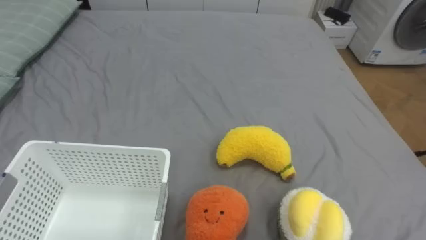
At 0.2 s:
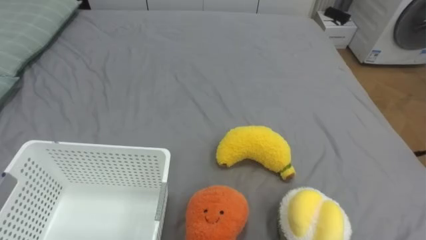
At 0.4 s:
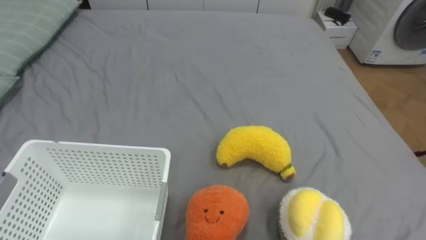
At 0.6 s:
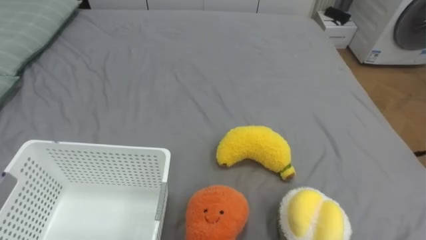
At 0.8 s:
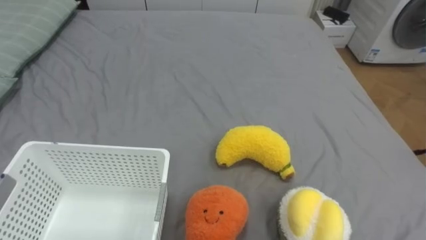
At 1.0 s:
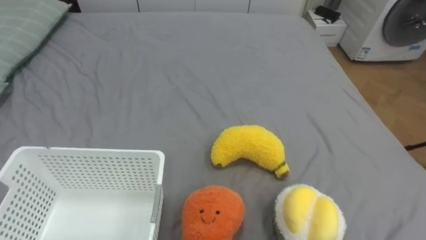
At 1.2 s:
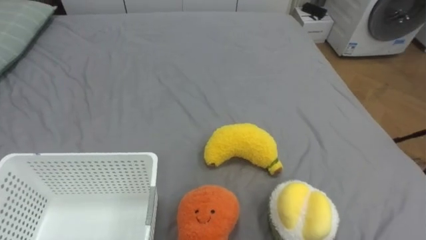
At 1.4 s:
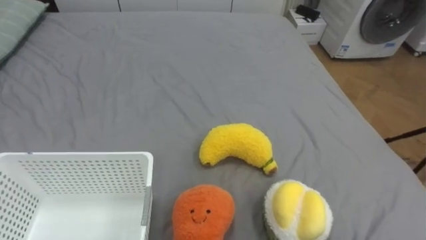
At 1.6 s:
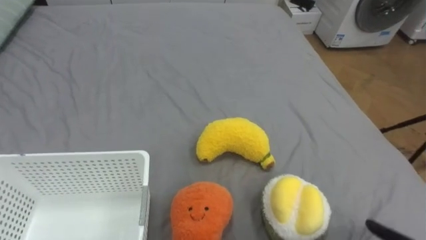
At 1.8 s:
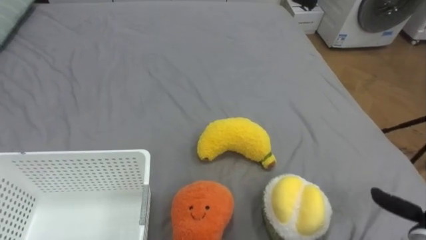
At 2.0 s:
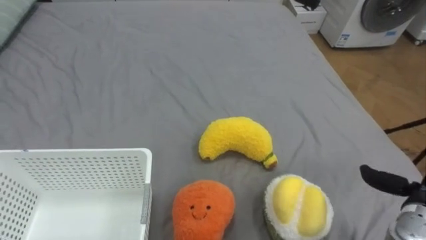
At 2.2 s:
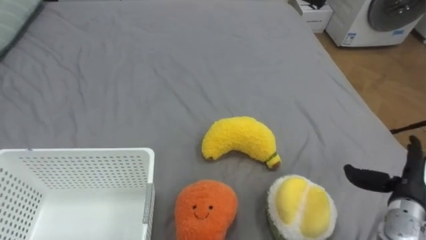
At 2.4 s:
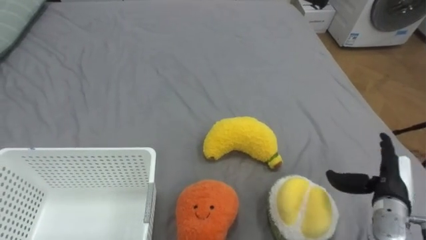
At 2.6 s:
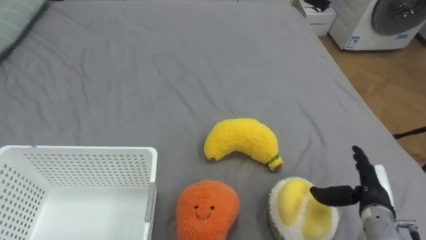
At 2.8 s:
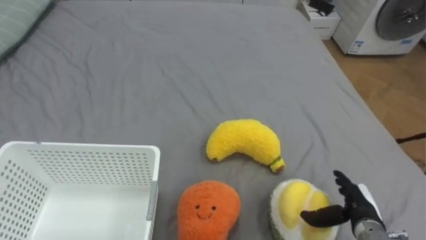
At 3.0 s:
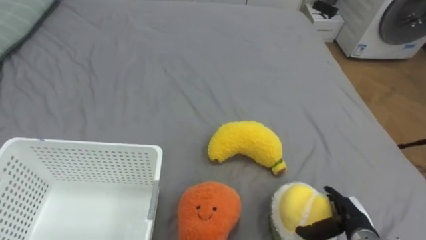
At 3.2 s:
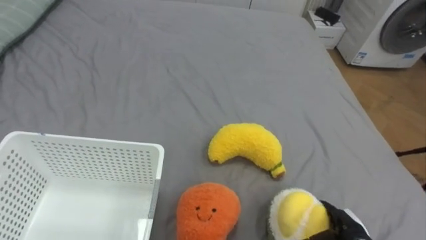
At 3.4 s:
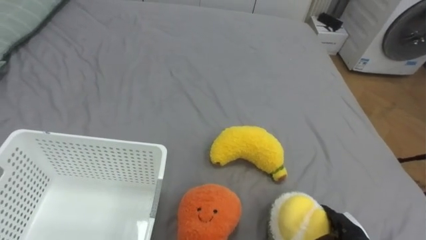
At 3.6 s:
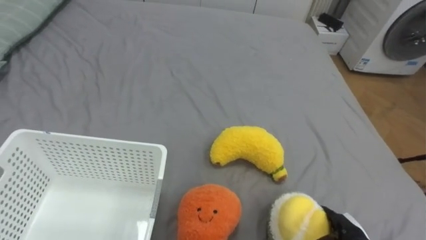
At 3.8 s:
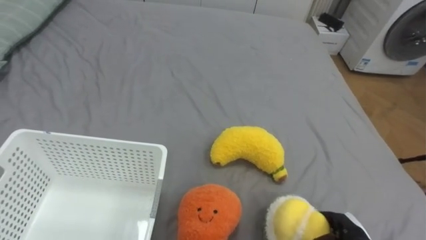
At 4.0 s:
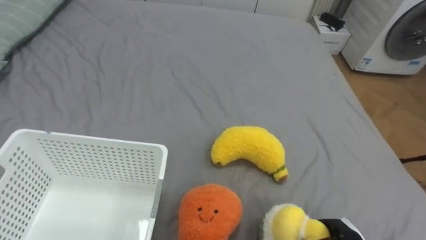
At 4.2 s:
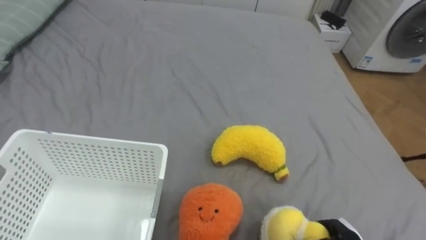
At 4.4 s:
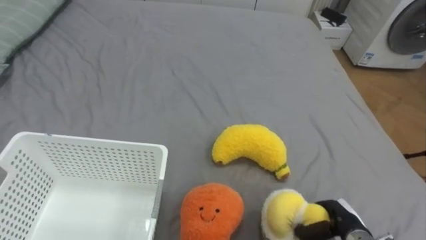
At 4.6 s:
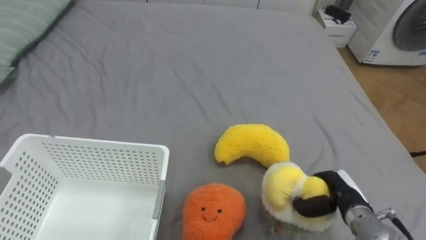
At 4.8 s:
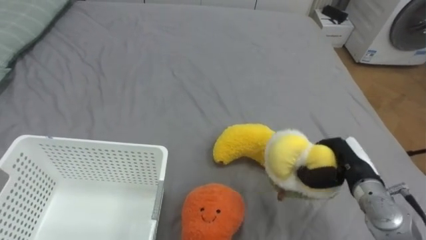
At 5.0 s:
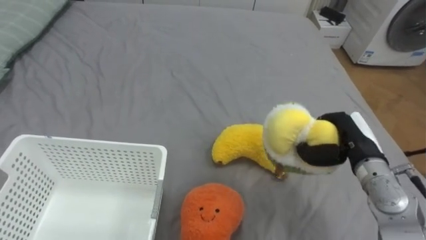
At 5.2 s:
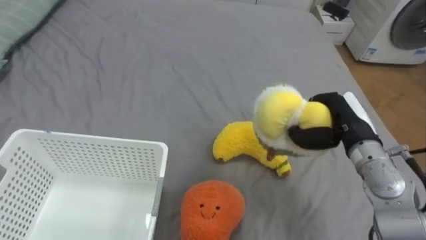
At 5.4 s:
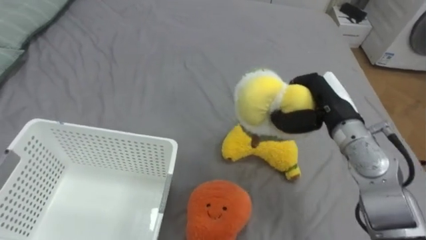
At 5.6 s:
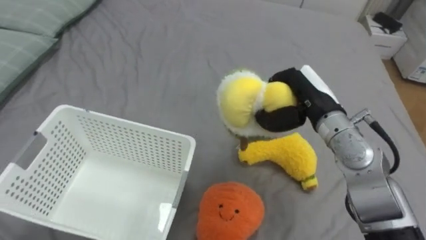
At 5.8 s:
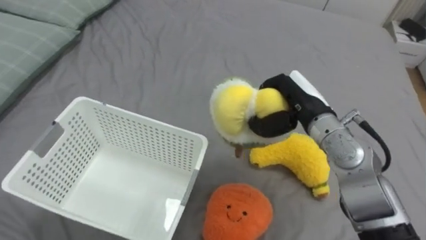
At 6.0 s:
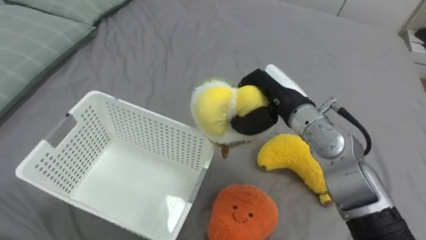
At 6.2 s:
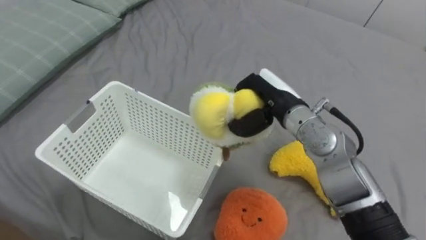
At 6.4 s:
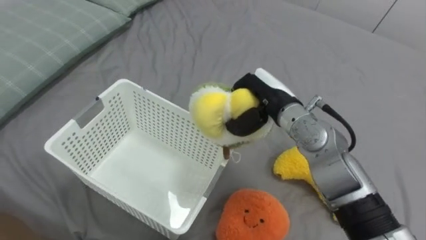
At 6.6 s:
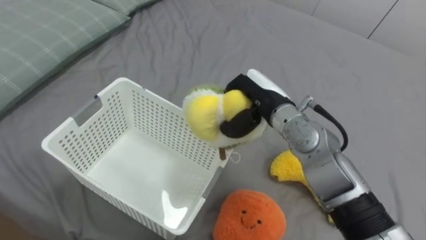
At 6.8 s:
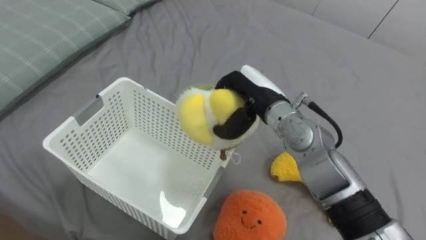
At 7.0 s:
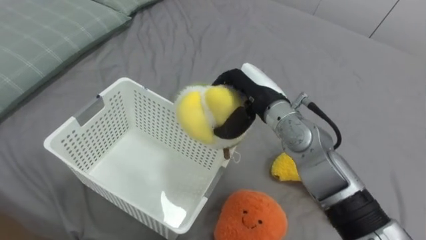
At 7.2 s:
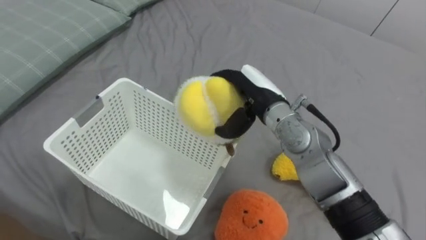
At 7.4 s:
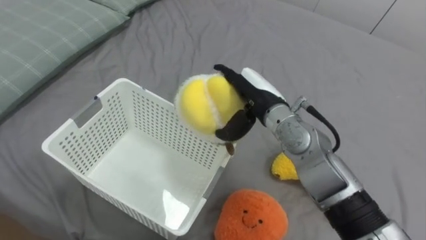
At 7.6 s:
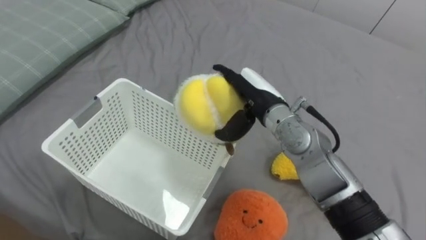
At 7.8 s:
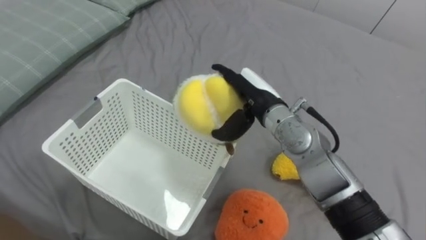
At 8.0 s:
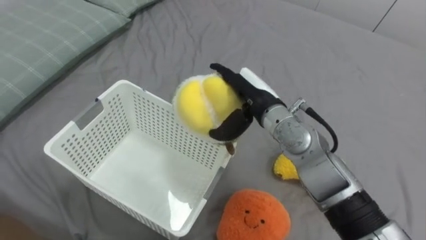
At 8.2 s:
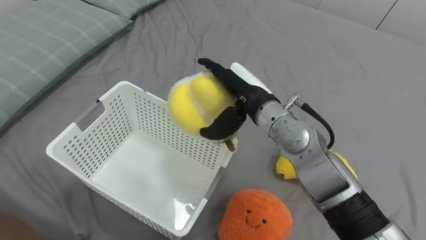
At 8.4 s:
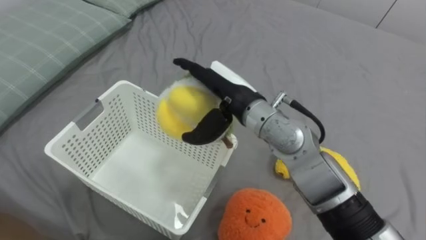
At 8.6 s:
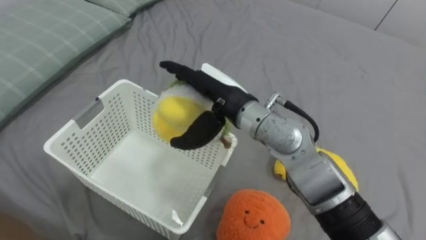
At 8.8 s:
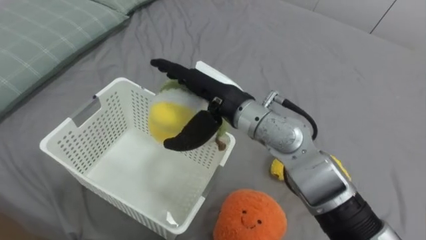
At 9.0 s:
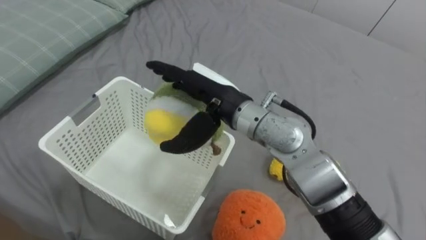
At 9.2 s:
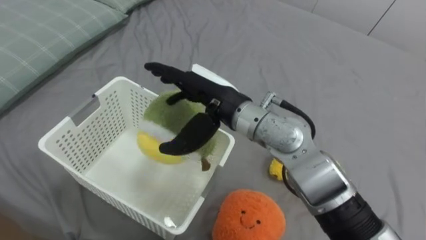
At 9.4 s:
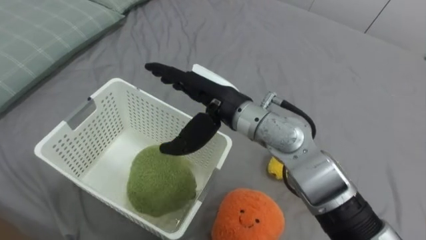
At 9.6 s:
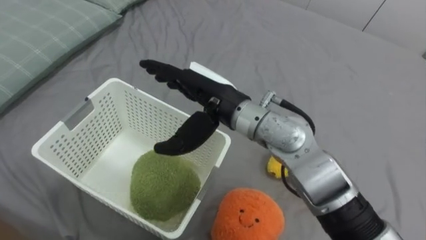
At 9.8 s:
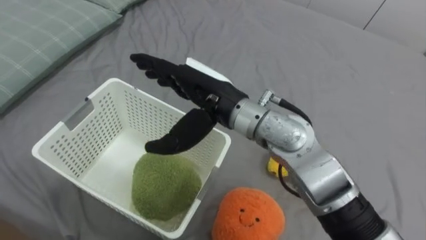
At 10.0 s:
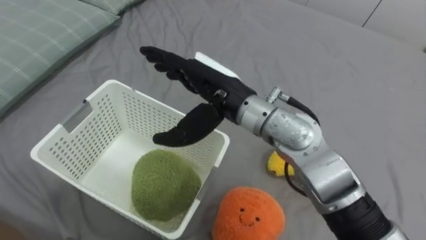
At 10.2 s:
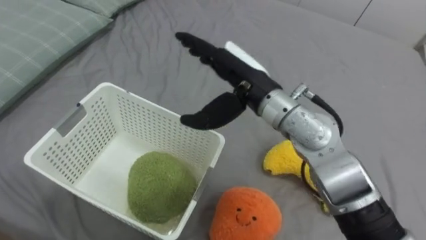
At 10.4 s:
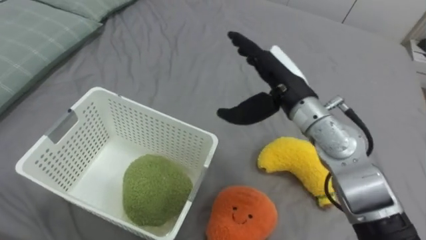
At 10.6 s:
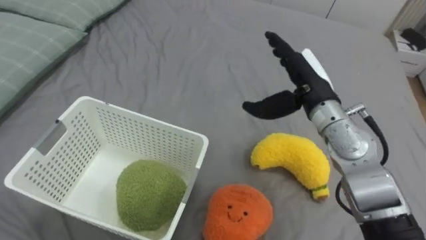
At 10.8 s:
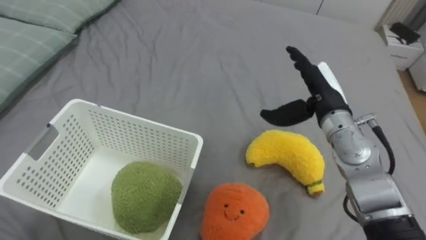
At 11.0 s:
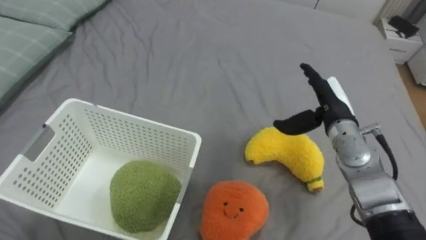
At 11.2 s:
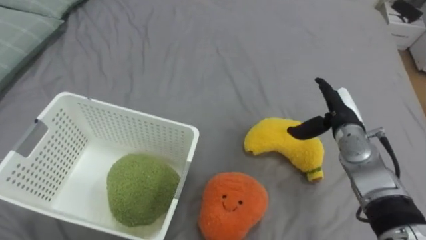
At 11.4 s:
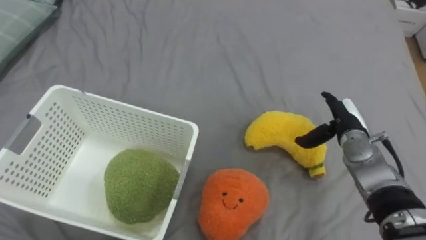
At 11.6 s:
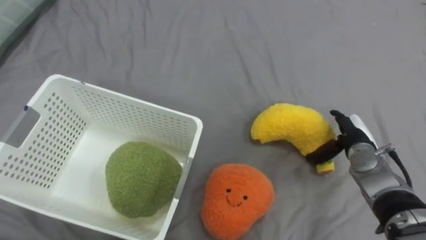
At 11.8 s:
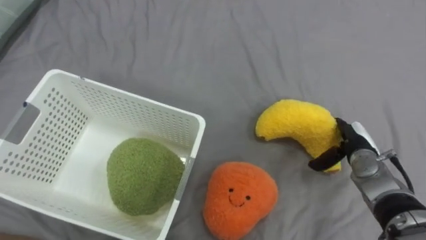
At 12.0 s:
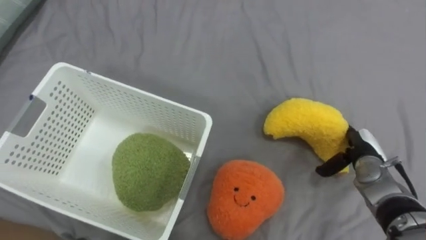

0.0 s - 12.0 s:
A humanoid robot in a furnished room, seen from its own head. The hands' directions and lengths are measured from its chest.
Task of the whole recording: Put the toys on the bed into the basket on the left.
4.4 s - 6.0 s: The right hand travels upward, forward and to the left by about 30 cm.
6.0 s - 7.6 s: The right hand changes place by about 5 cm, and opens its fingers.
7.6 s - 9.0 s: The right hand shifts roughly 10 cm to the left and upward.
9.0 s - 10.4 s: The right hand moves to the right, roughly 10 cm.
10.4 s - 12.0 s: The right hand moves to the right and downward, about 30 cm.

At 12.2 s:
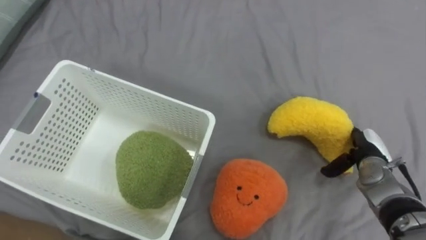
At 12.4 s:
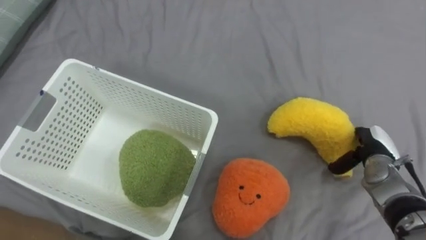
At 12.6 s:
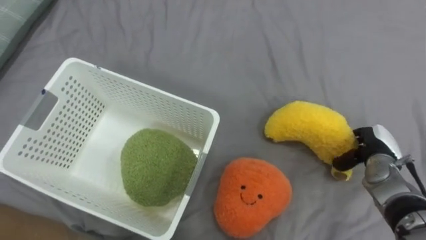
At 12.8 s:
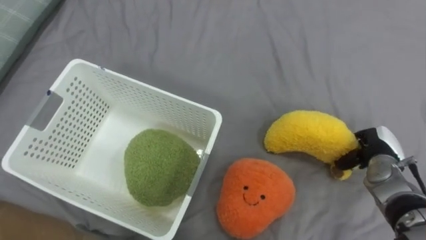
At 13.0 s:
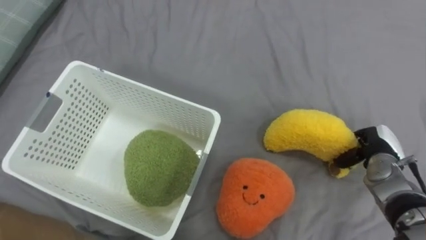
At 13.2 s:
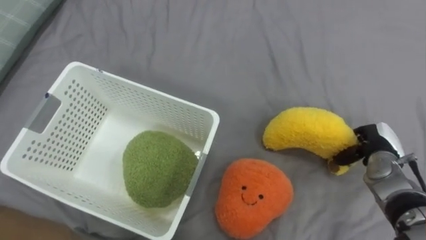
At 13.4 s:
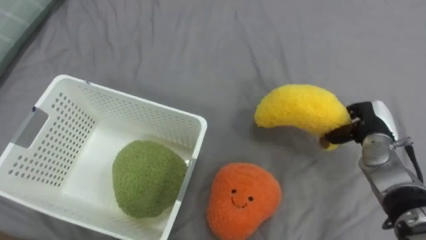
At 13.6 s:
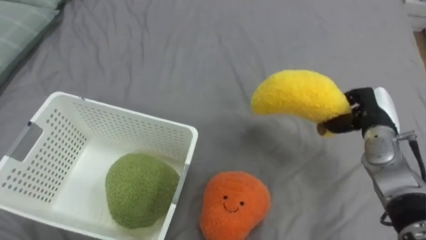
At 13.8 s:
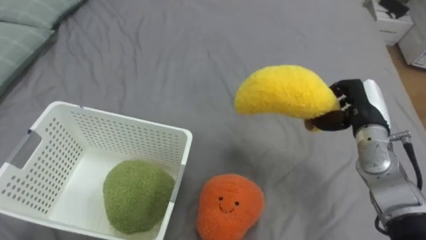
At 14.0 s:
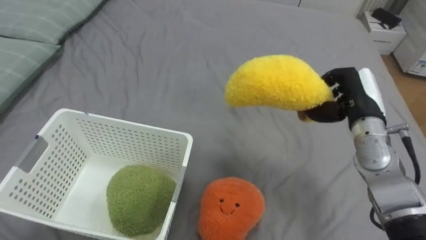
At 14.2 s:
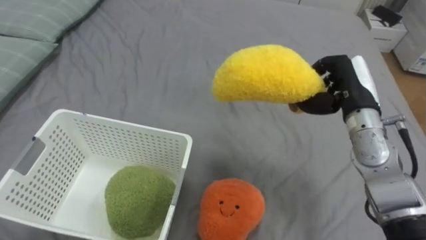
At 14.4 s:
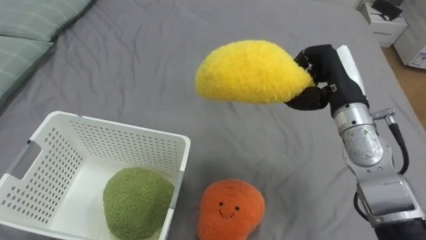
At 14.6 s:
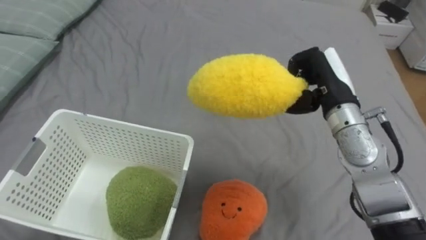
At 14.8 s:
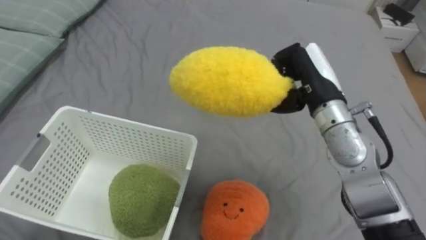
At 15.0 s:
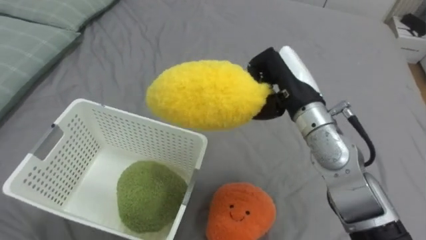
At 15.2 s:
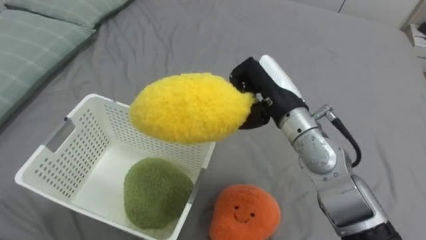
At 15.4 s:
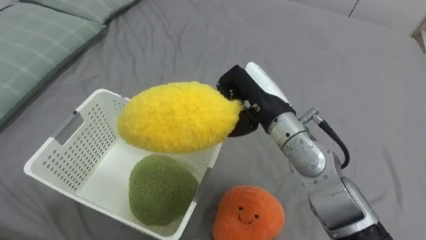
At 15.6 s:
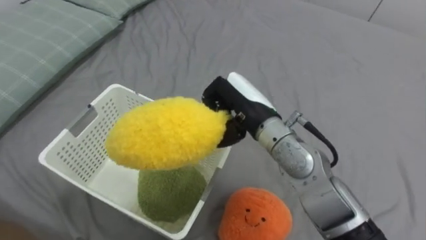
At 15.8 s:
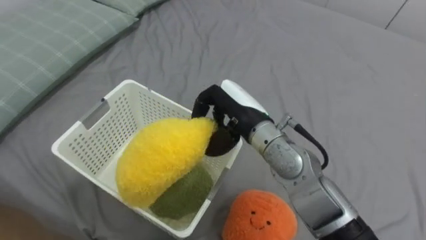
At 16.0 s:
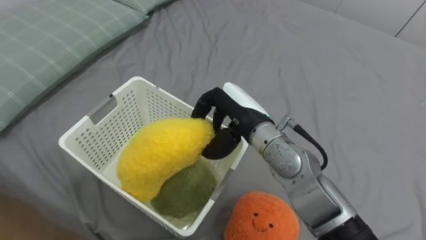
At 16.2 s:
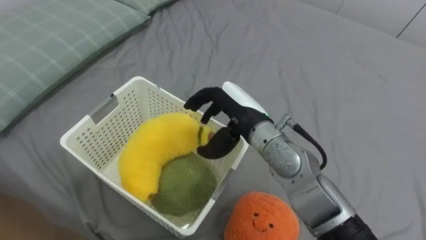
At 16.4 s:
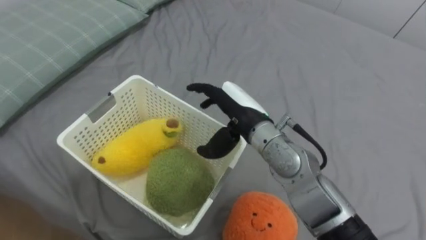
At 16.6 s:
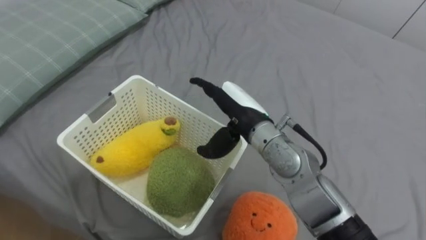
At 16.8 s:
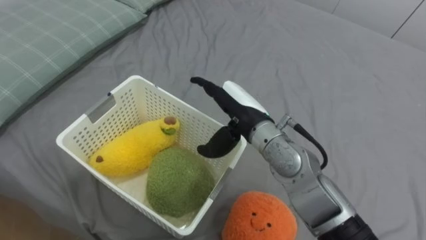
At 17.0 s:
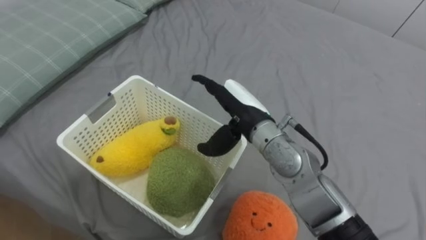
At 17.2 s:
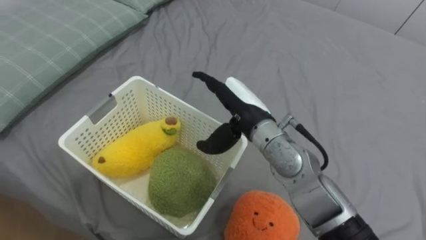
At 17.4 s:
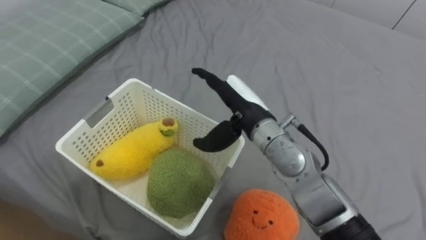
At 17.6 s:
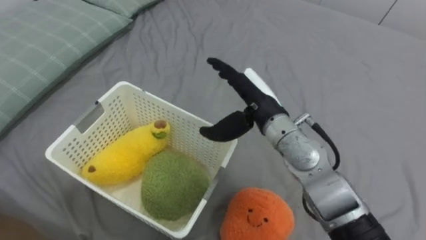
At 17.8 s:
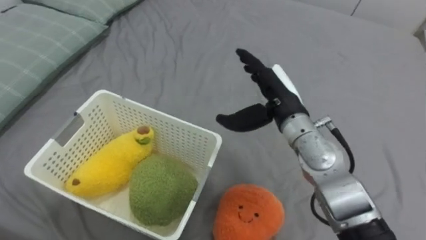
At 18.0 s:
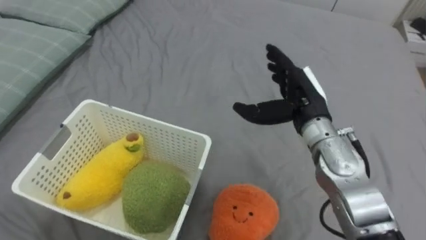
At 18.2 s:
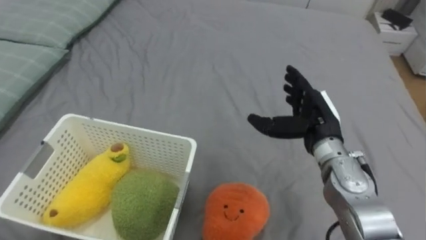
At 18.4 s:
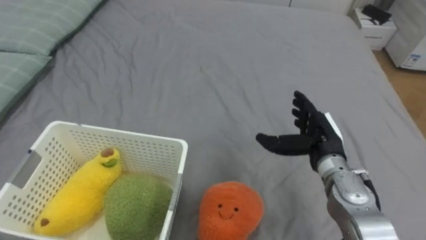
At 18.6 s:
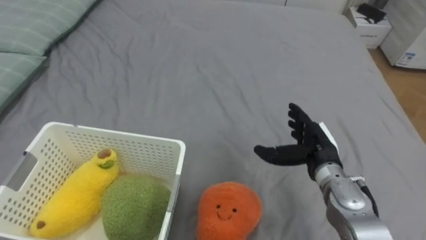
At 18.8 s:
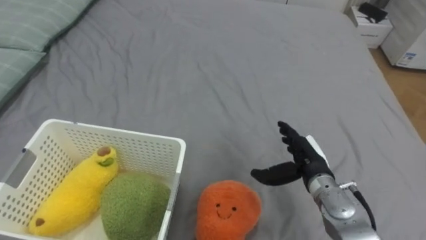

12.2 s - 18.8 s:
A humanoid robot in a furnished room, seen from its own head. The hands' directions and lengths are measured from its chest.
Task of the whole recording: Put the toys on the bed into the basket on the left.
12.2 s - 13.8 s: The right hand moves upward, about 10 cm, and closes up.
13.8 s - 15.4 s: The right hand travels to the left by about 20 cm.
15.4 s - 17.2 s: The right hand opens.
17.2 s - 18.8 s: The right hand goes approximately 20 cm to the right and downward.
